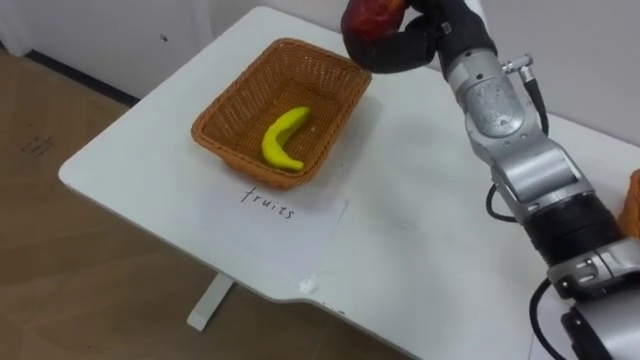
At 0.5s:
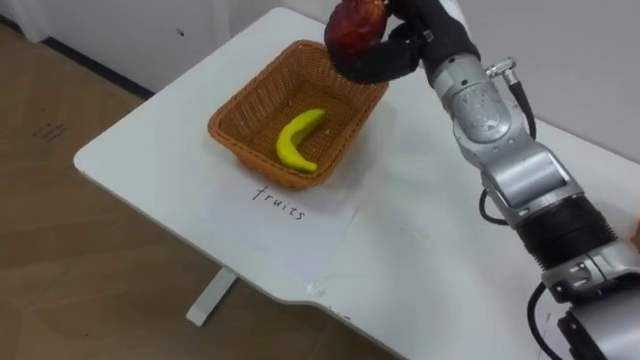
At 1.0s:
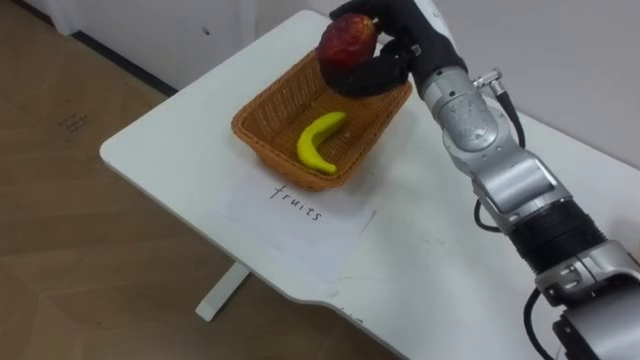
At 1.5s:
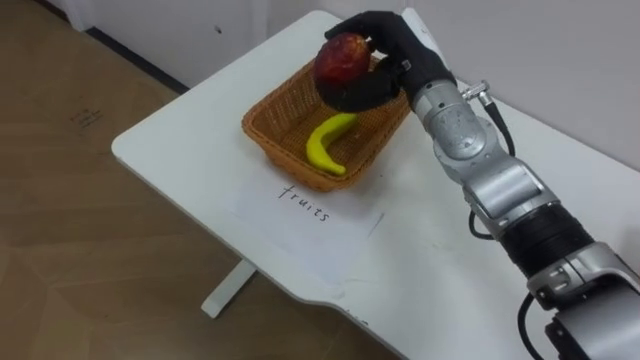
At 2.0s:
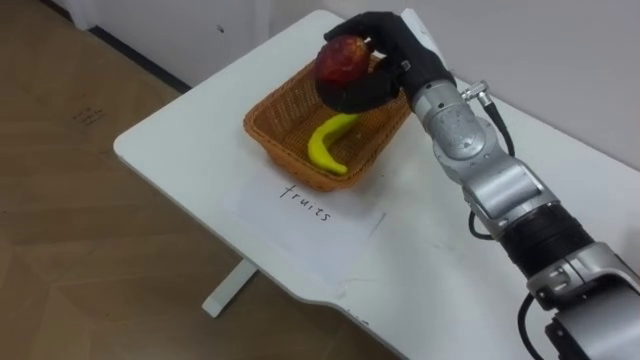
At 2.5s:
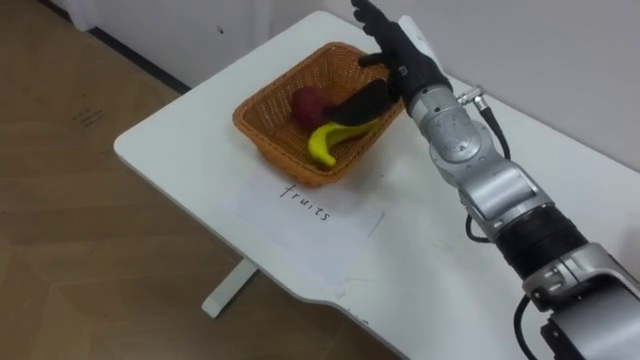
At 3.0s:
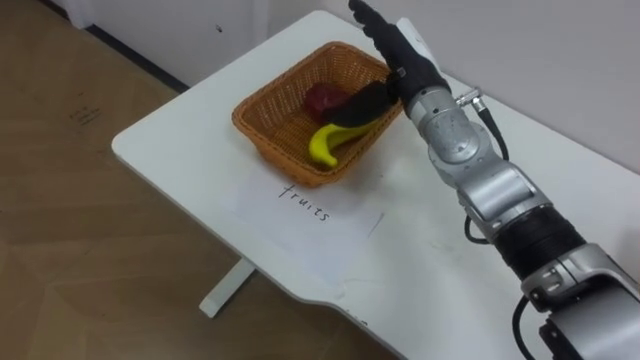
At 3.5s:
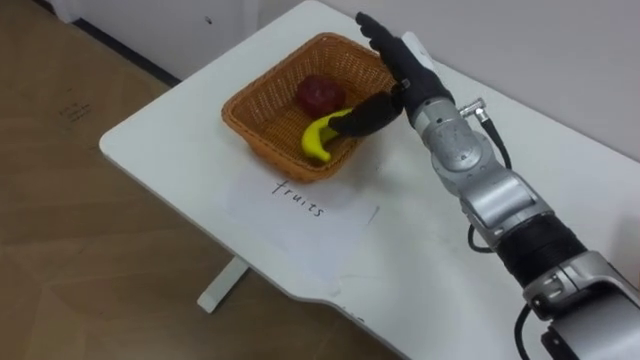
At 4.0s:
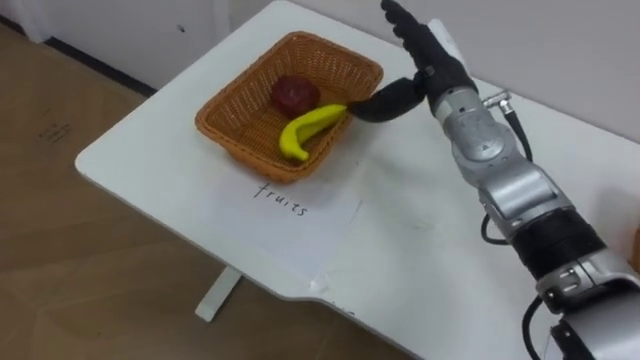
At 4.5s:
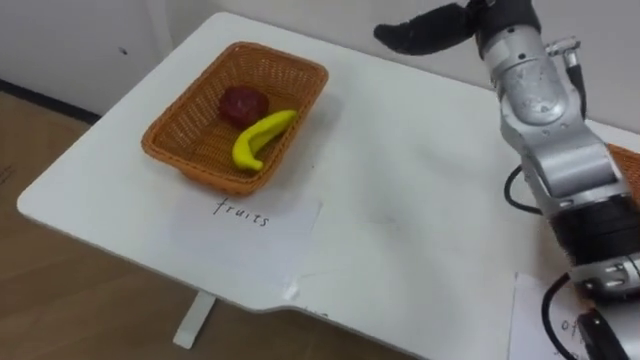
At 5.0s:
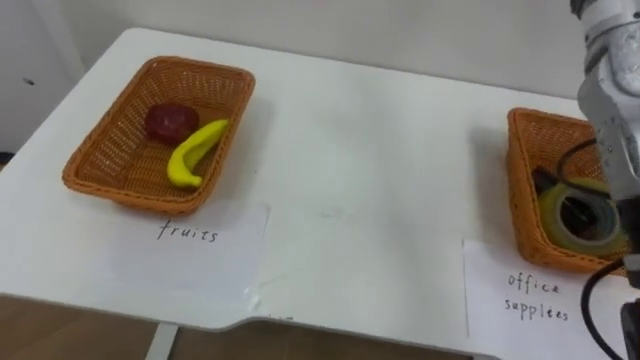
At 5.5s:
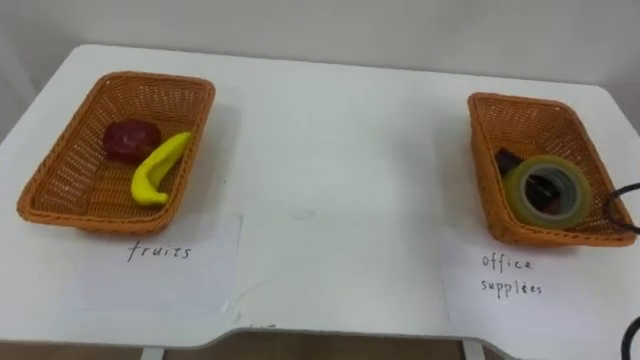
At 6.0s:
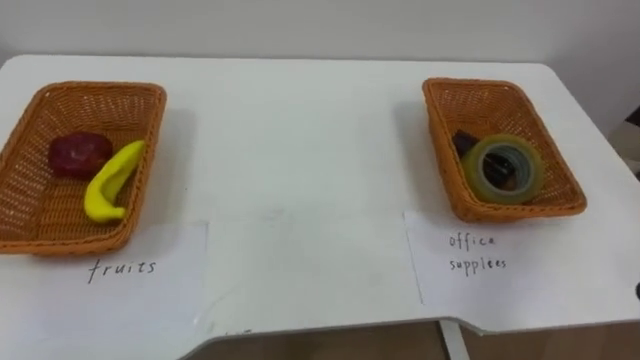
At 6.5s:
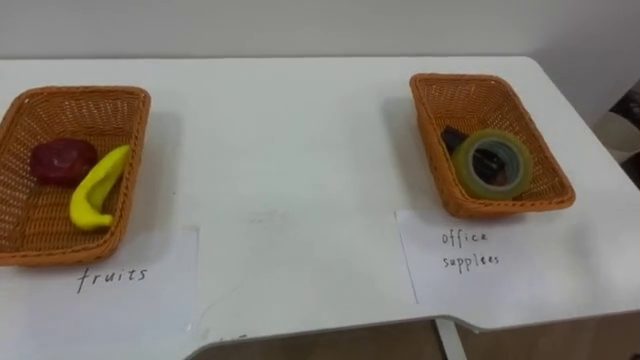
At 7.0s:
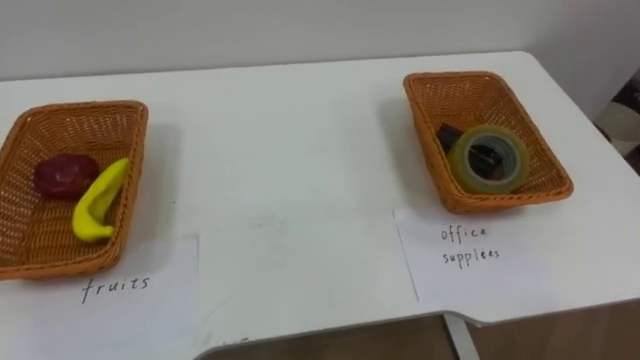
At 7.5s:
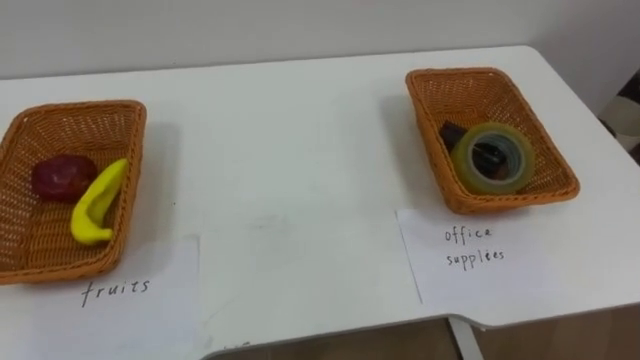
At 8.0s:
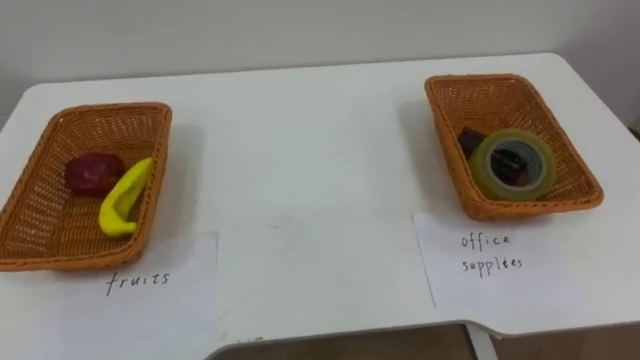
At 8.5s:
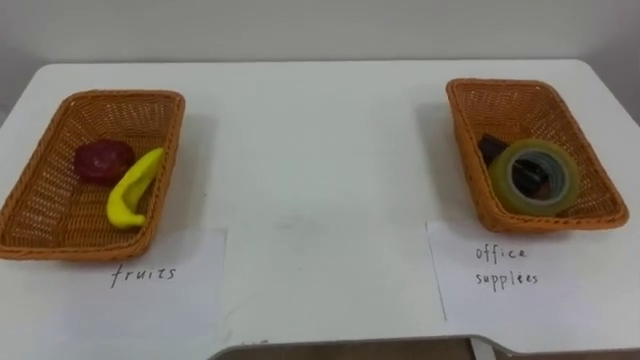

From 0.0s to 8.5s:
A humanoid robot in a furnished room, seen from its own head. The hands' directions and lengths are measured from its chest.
Task of the whole recording: Separate the items on the table and place them into the two baskets.
From 0.0s to 2.0s: The right hand shifts by roughly 5 cm.
From 2.0s to 4.0s: The right hand opens.

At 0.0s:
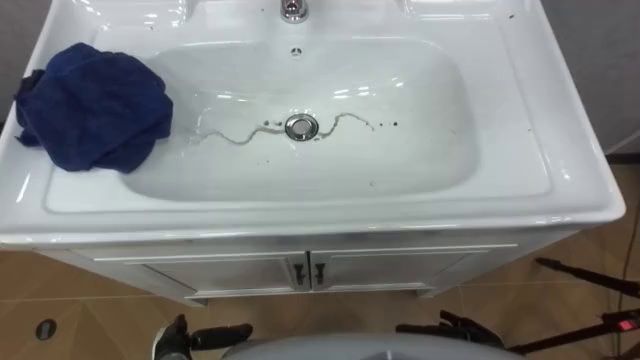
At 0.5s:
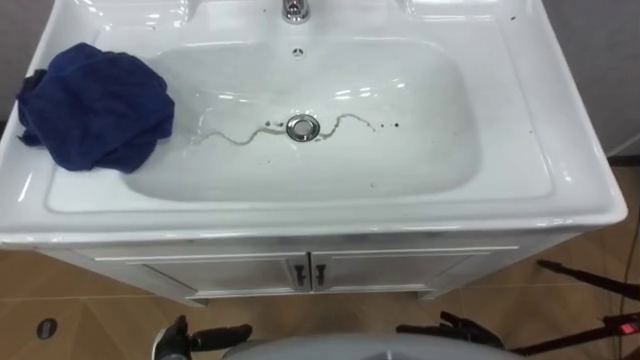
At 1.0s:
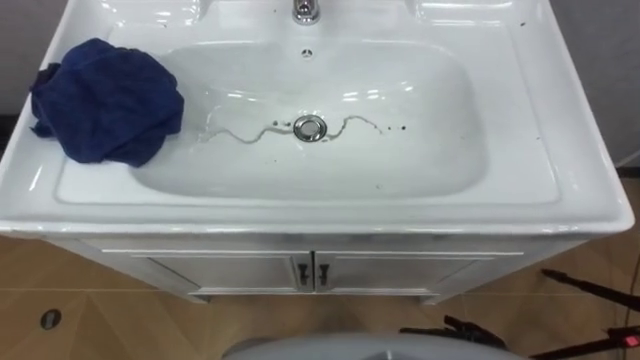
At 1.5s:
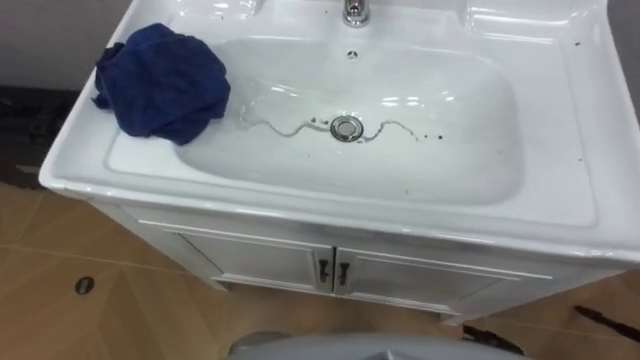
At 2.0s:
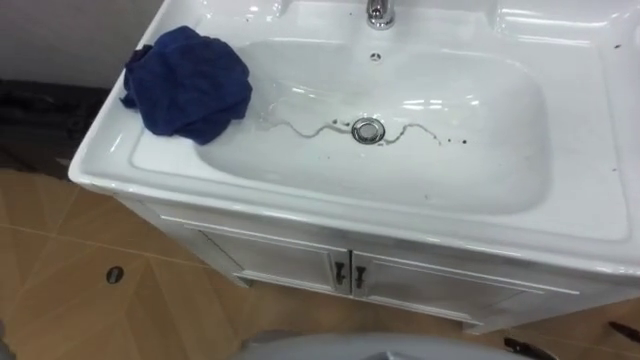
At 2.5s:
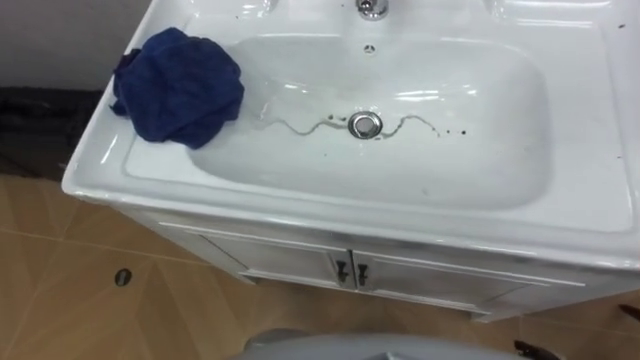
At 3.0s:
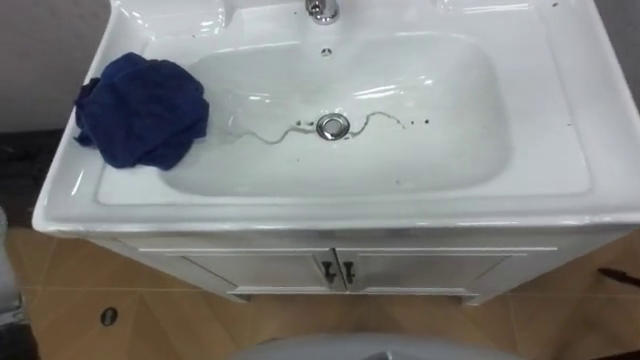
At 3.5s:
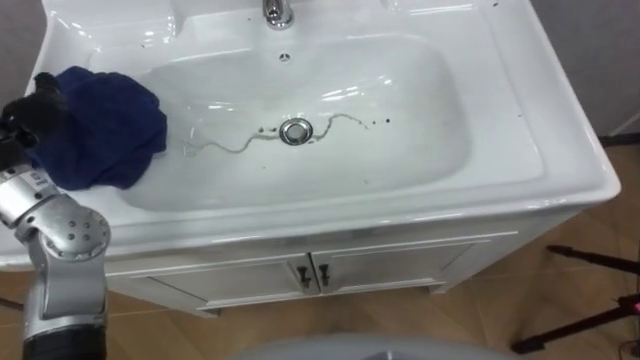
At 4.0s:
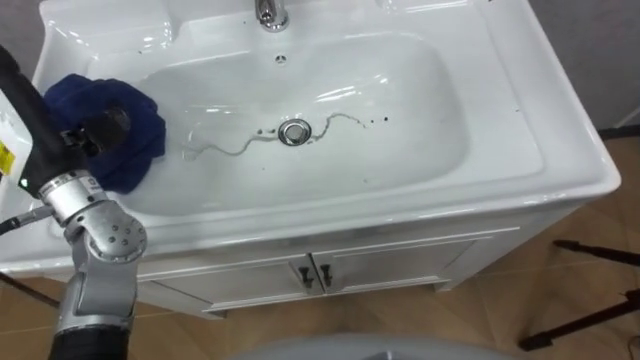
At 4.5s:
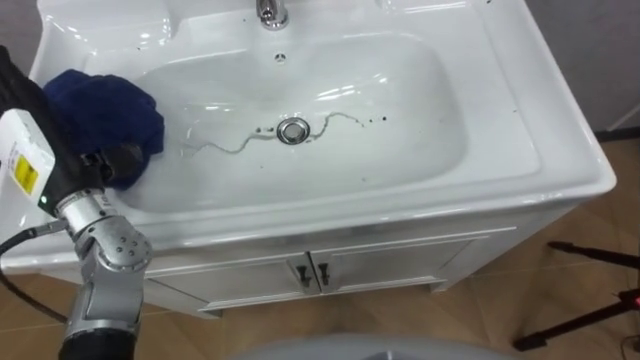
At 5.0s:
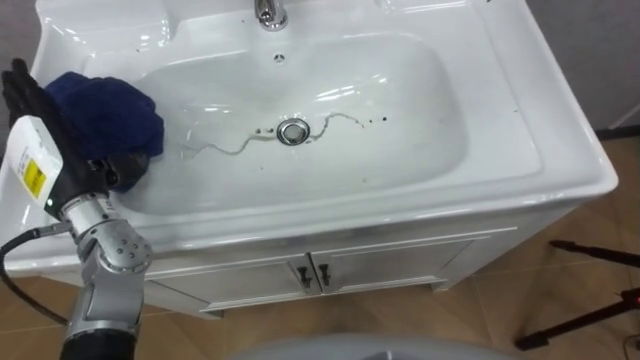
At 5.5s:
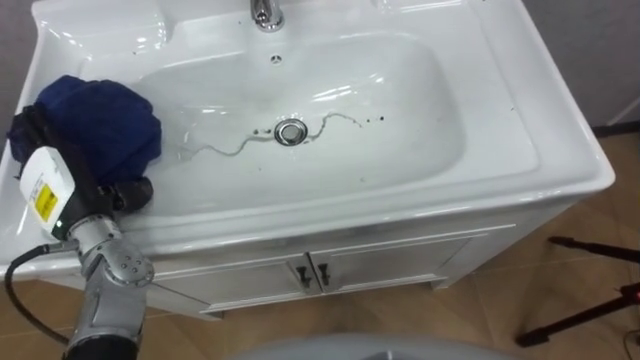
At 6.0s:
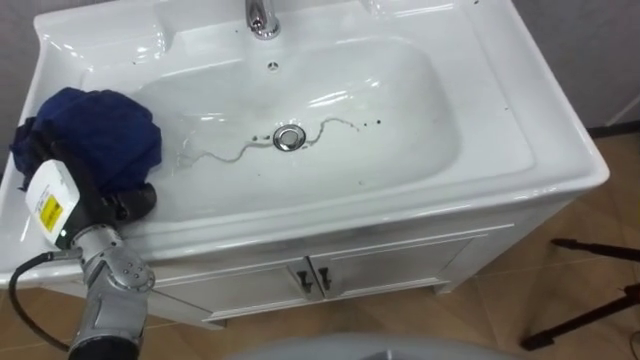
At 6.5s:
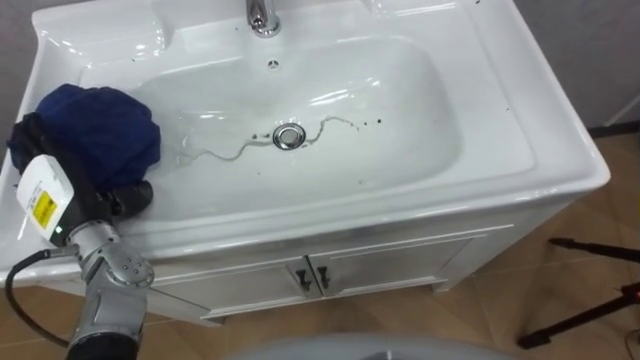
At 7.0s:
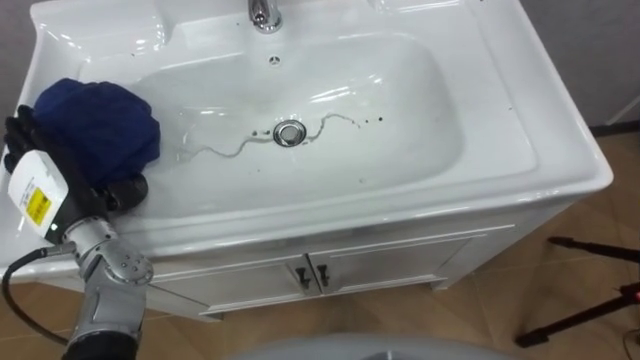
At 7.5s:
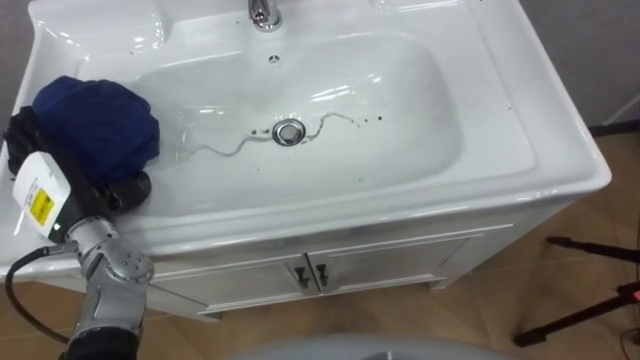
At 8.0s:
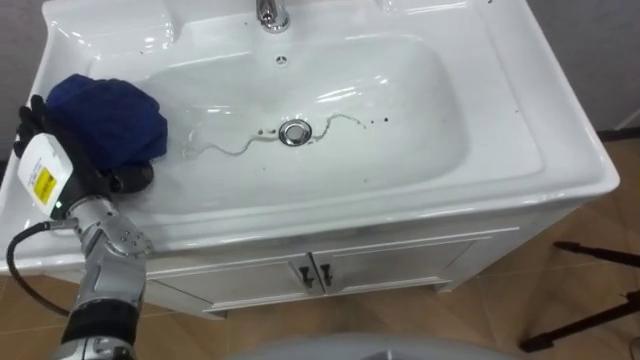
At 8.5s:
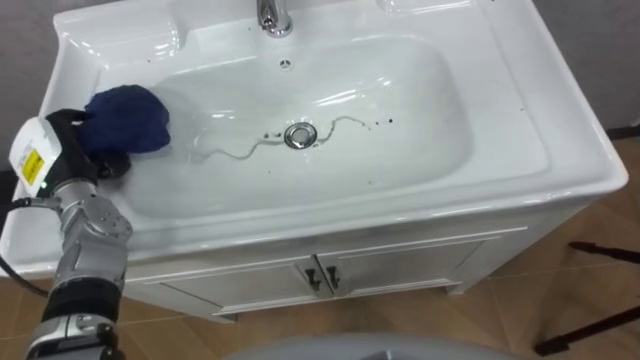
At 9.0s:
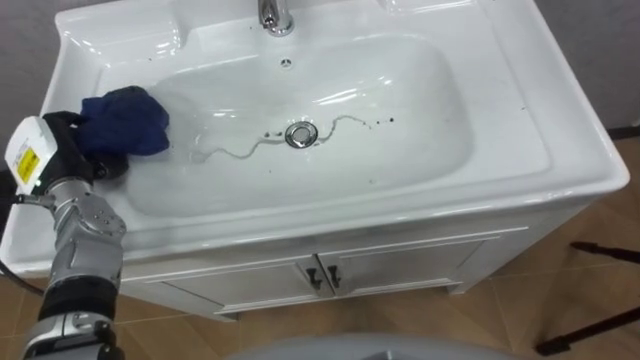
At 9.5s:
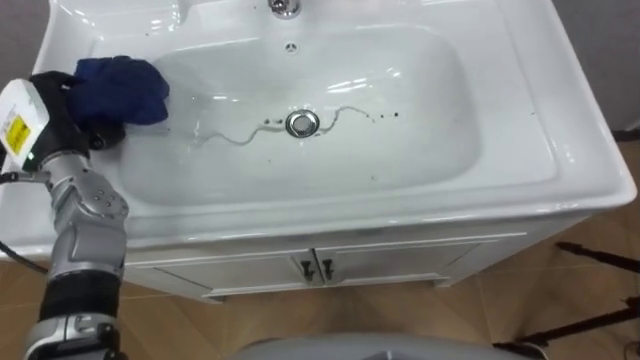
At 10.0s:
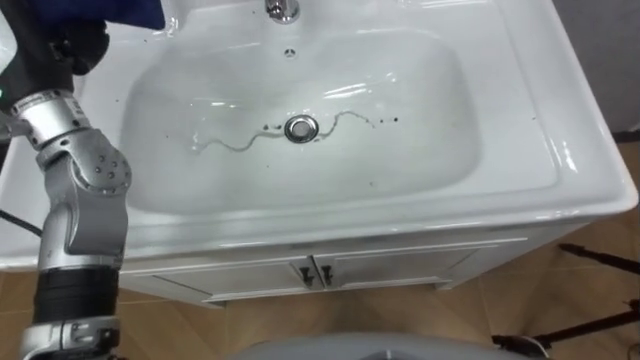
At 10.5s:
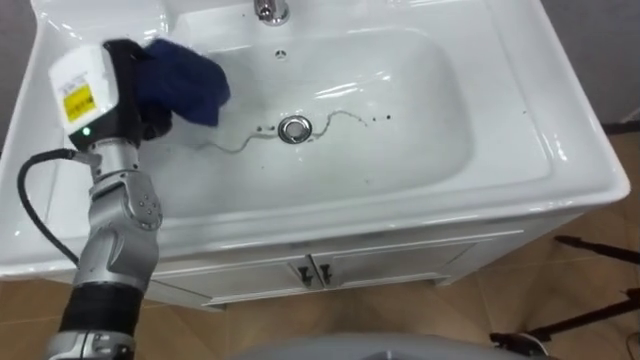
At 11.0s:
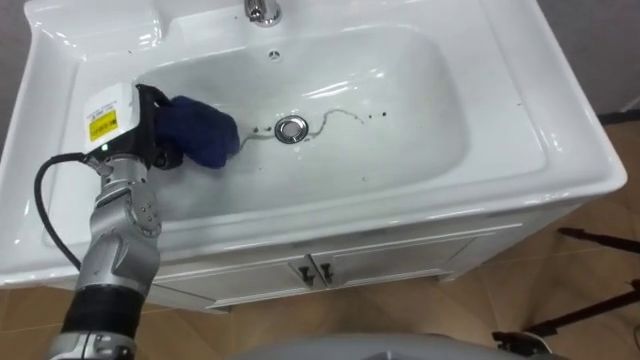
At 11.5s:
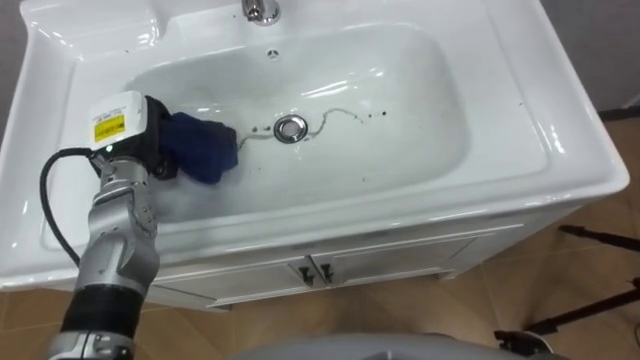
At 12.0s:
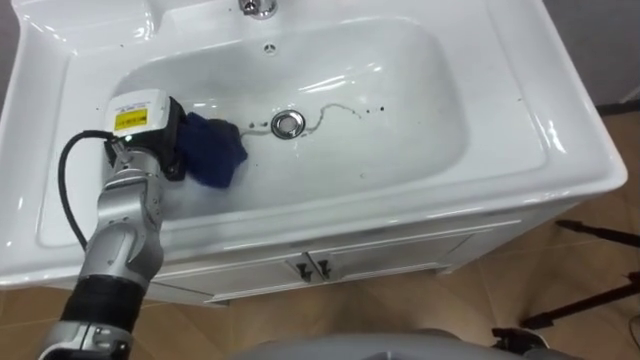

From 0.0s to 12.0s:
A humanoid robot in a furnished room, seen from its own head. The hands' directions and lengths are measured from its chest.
Task of the whole recording: Use the cloth on the right to wipe away the black stain in the sink.
From 4.0s to 6.0s: The left hand is displaced downward by about 10 cm.
